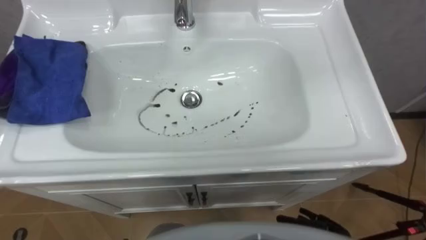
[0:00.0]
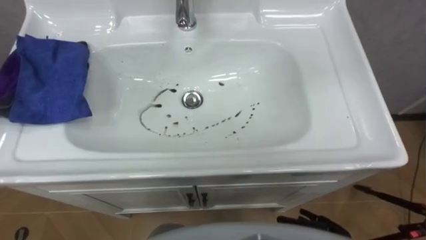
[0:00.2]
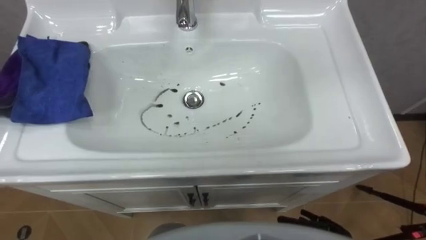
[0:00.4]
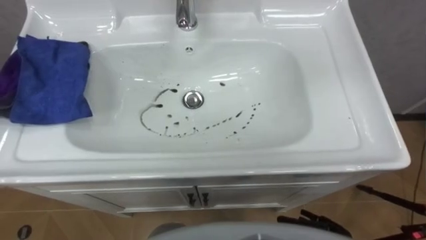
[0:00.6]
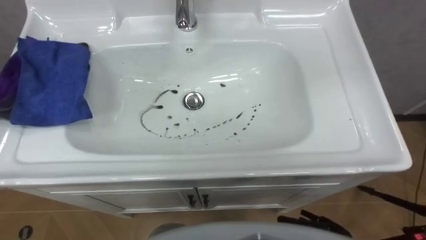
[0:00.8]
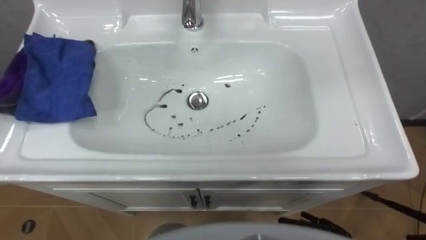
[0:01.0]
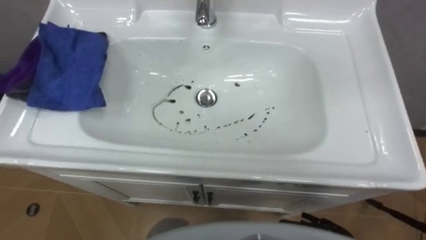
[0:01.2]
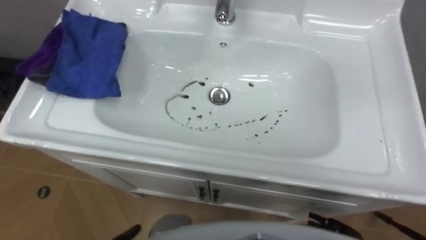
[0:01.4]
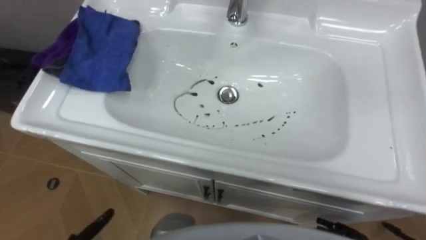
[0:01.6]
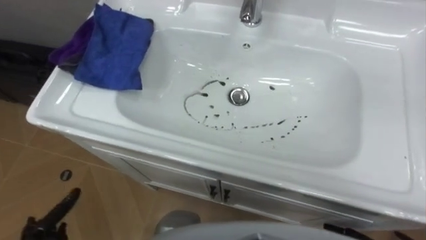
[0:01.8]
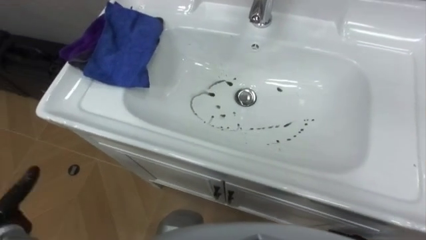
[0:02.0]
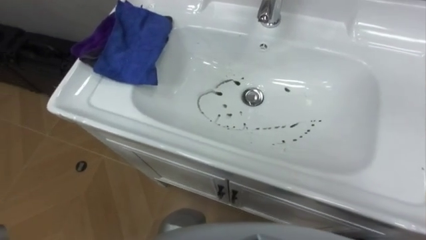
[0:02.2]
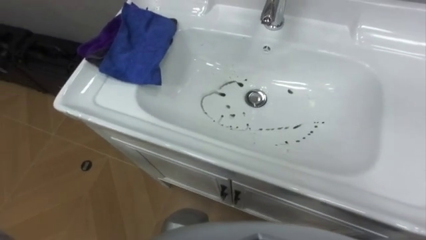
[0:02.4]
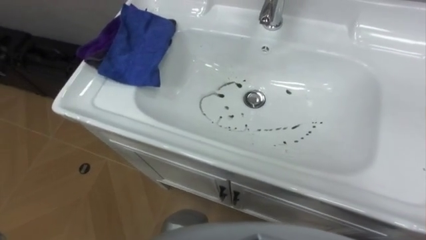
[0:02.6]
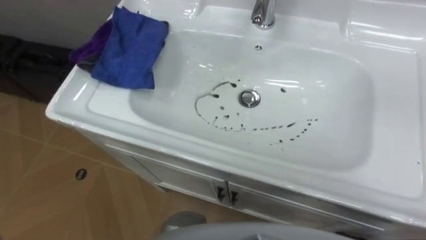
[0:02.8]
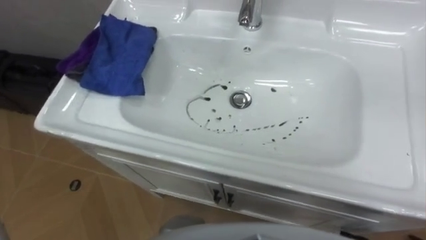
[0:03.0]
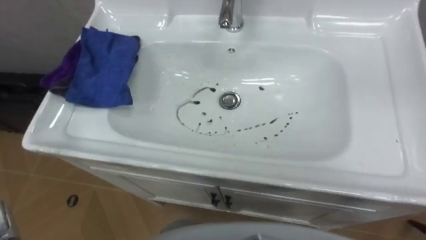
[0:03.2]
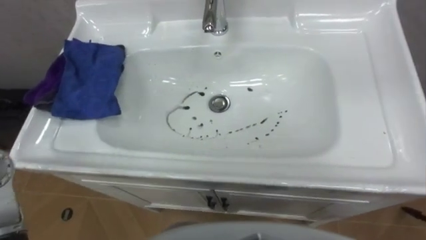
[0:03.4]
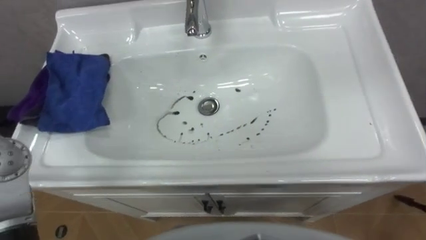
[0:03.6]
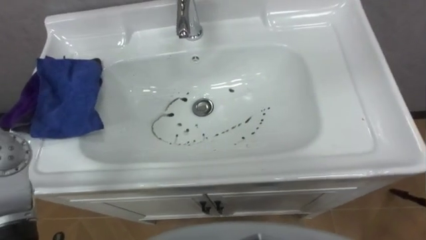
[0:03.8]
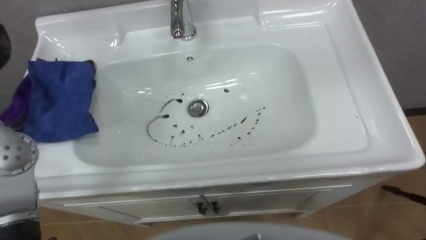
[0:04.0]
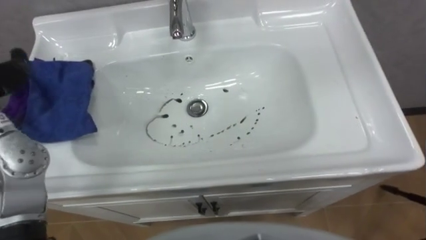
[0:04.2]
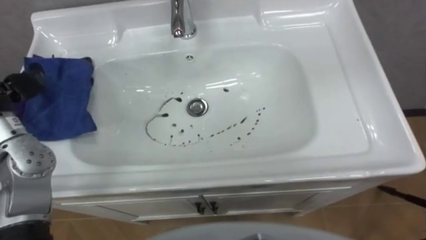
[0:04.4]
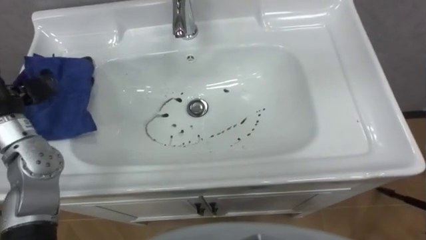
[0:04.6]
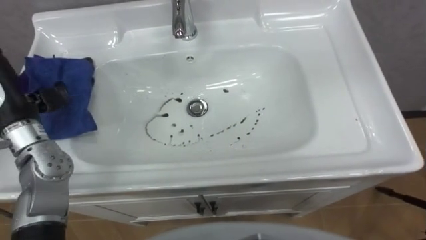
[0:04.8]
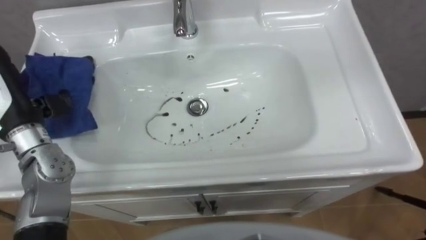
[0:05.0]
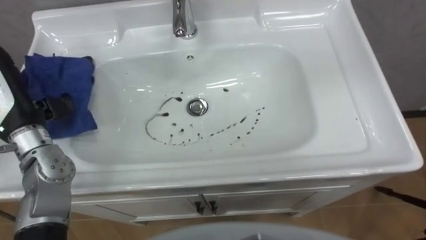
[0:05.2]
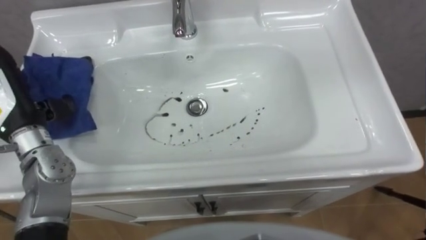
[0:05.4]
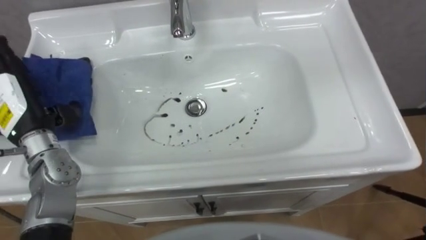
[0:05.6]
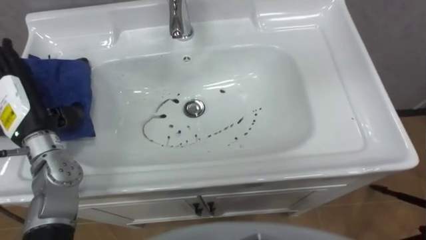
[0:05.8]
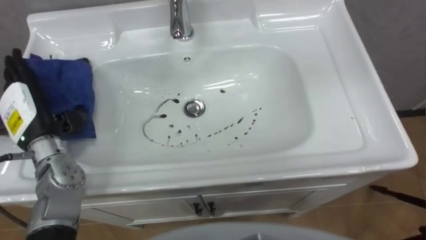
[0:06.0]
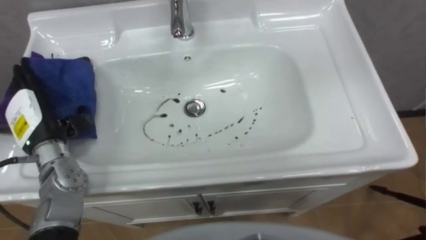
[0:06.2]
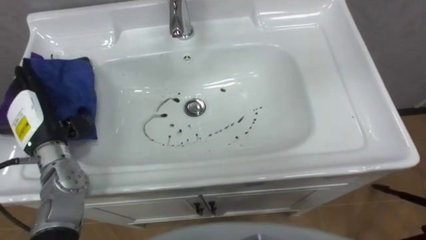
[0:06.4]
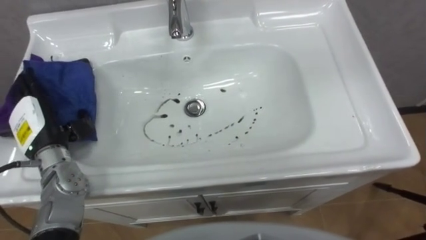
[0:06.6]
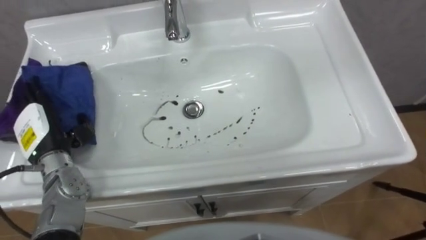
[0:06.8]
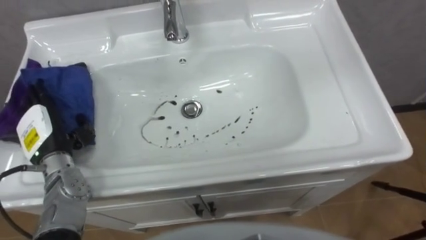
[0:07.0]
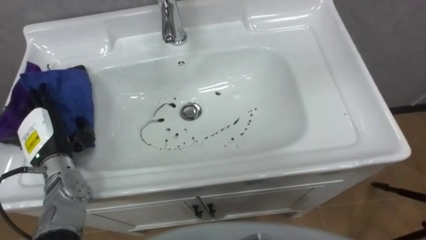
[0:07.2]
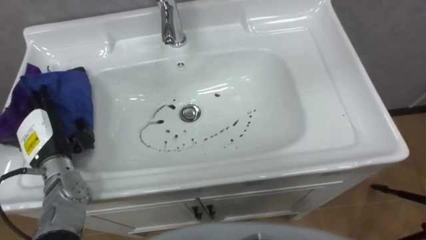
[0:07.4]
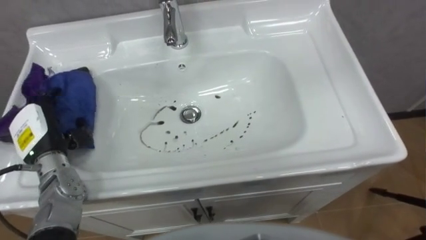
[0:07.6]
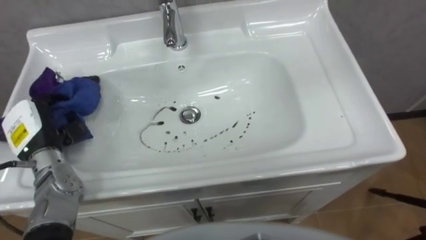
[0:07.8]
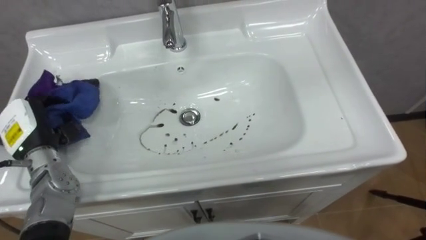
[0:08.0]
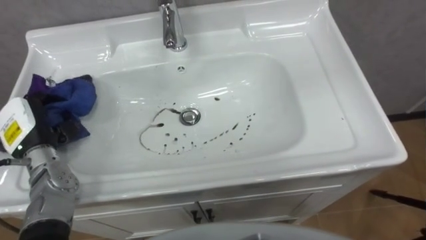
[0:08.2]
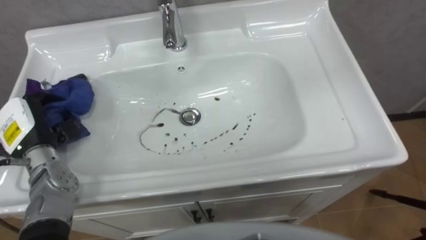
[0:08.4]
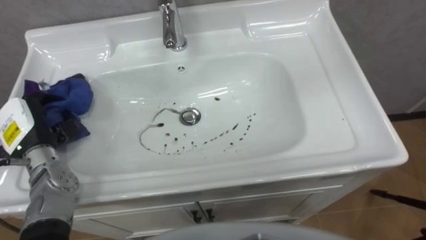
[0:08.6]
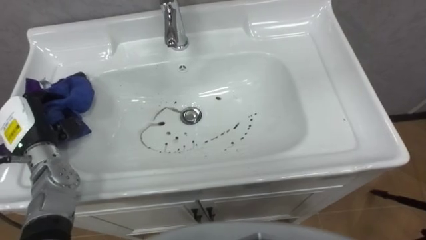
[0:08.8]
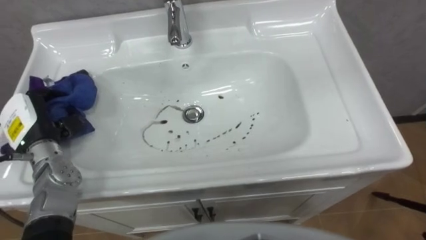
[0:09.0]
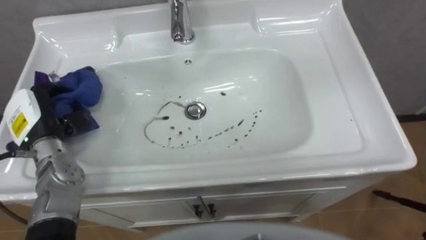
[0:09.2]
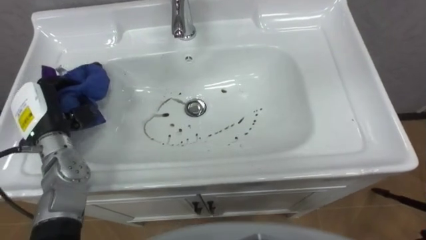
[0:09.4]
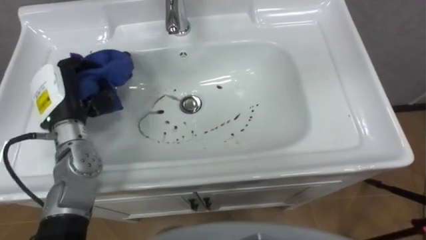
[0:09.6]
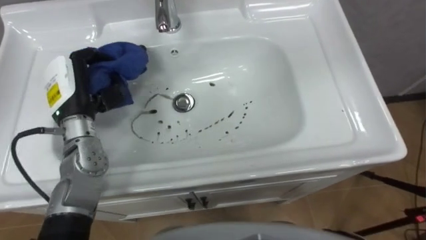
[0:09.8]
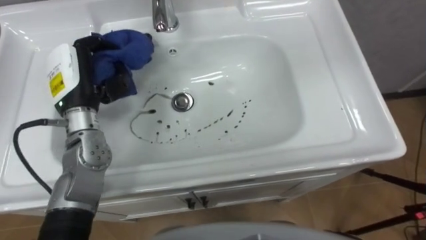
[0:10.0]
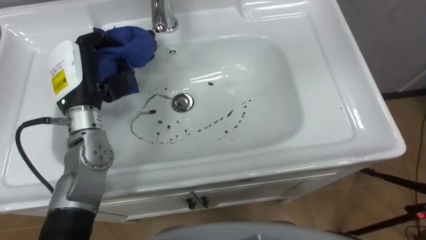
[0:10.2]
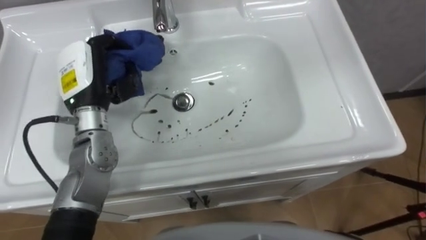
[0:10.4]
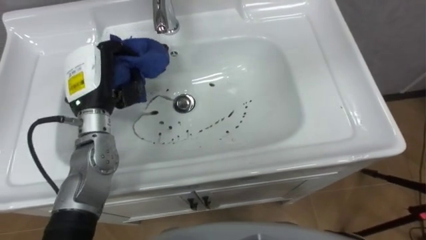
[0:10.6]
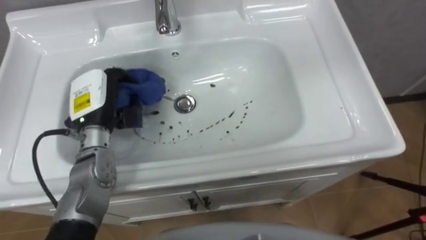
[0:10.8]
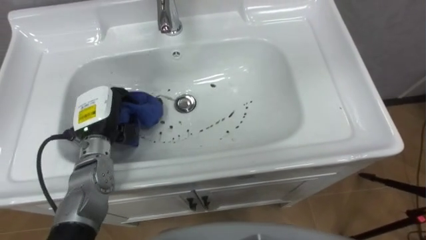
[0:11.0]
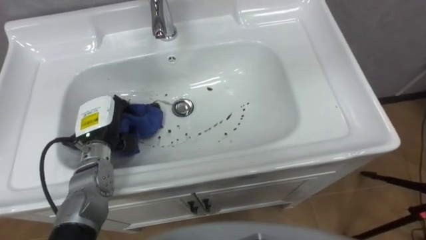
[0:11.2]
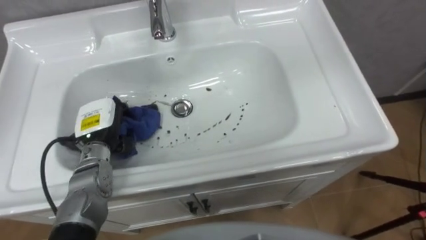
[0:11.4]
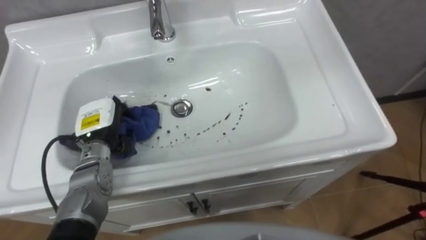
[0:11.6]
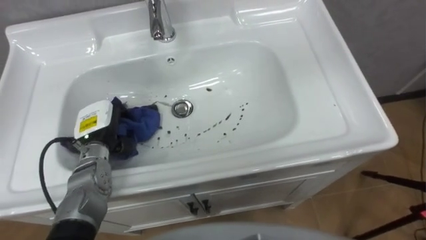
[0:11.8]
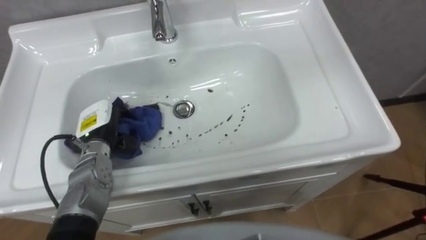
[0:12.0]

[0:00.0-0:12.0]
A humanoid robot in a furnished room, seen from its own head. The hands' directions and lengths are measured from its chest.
Task of the whole recording: Use the cloth on the right to wipe away the black stain in the sink.
0:06.0 to 0:07.6: The left hand goes approximately 5 cm downward.
0:07.6 to 0:09.0: The left hand closes up.
0:09.0 to 0:10.4: The left hand shifts approximately 15 cm to the right, upward and forward.
0:10.4 to 0:12.0: The left hand moves downward, some 15 cm.

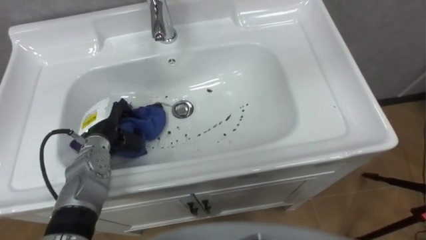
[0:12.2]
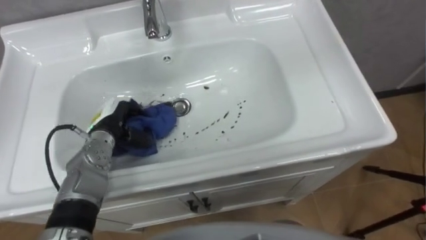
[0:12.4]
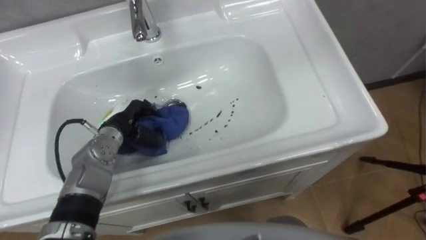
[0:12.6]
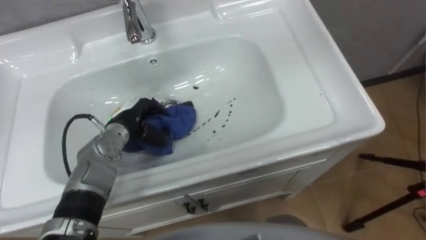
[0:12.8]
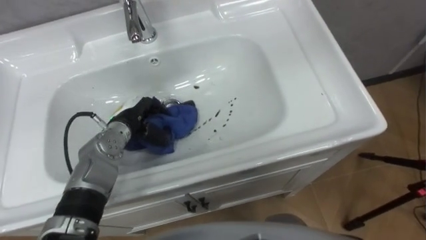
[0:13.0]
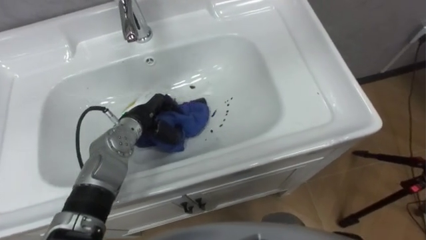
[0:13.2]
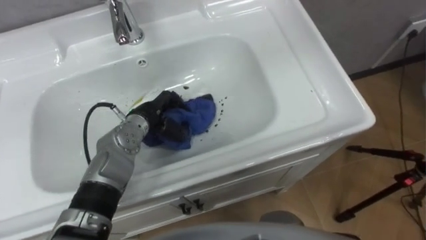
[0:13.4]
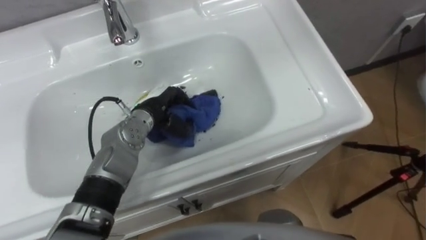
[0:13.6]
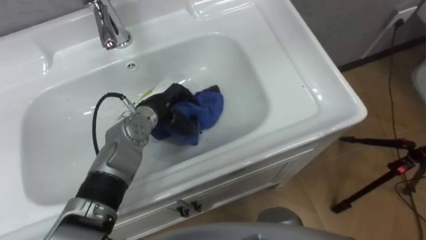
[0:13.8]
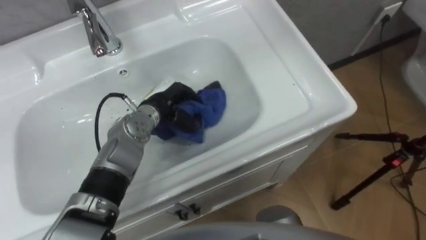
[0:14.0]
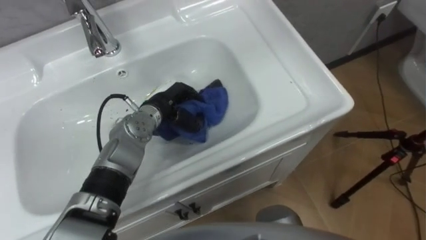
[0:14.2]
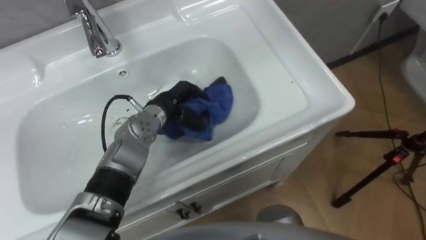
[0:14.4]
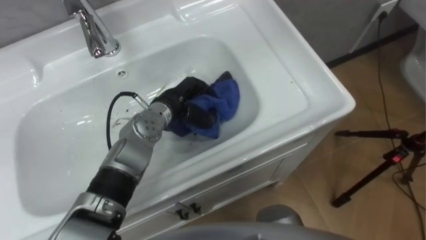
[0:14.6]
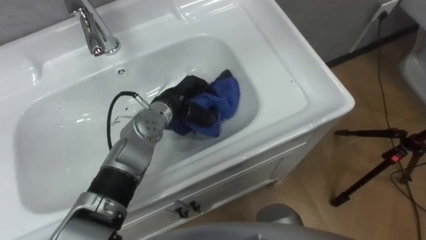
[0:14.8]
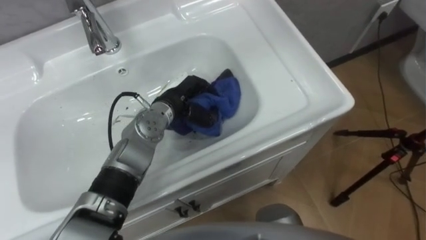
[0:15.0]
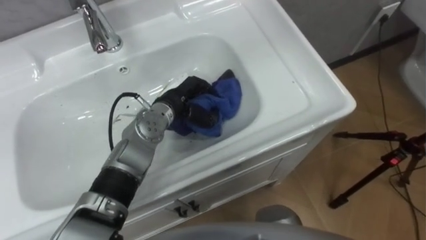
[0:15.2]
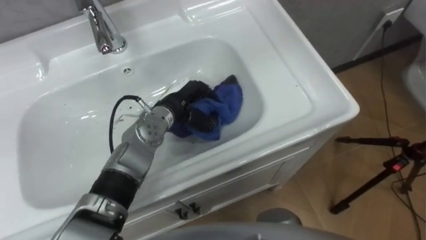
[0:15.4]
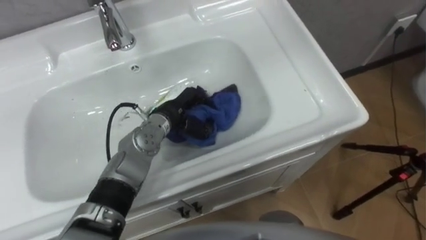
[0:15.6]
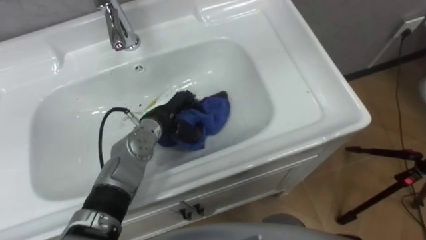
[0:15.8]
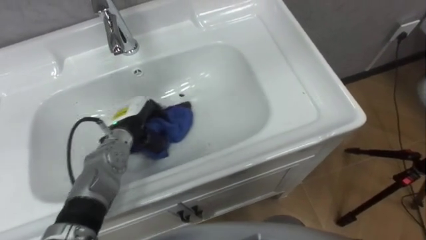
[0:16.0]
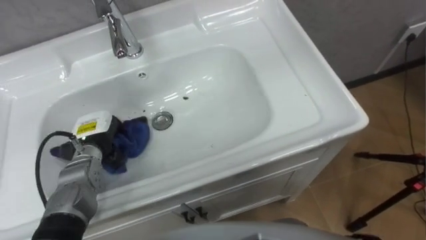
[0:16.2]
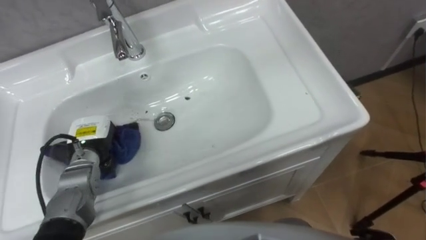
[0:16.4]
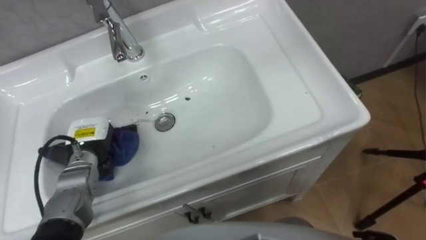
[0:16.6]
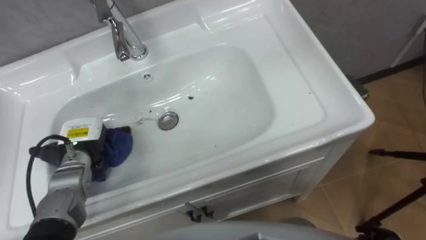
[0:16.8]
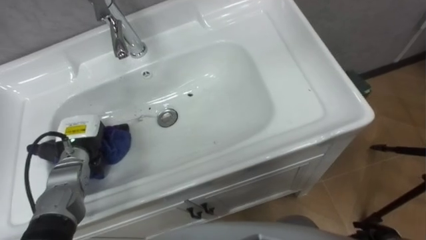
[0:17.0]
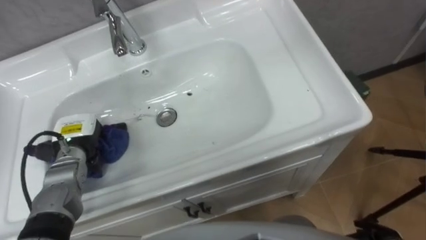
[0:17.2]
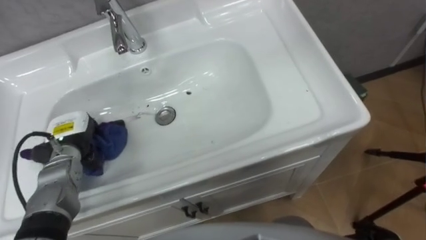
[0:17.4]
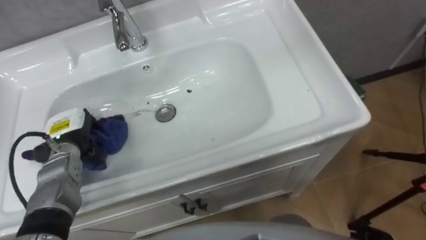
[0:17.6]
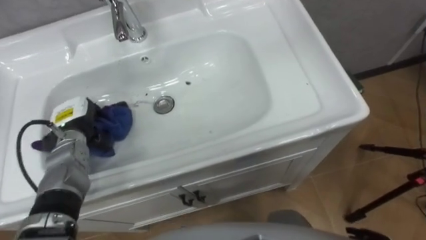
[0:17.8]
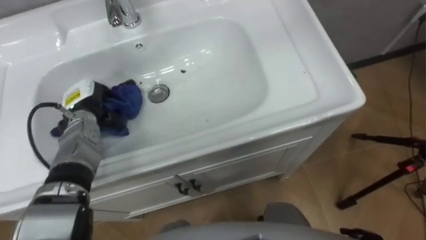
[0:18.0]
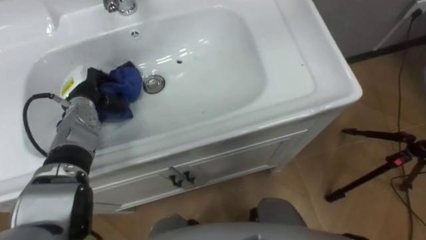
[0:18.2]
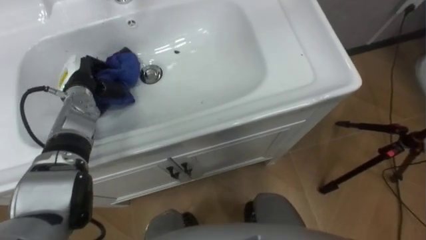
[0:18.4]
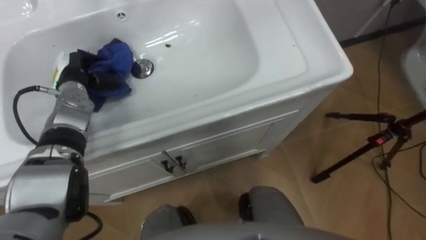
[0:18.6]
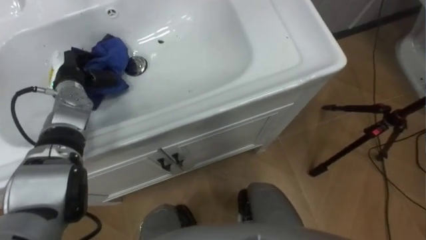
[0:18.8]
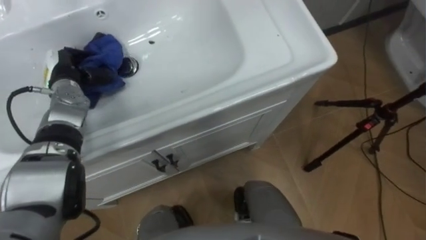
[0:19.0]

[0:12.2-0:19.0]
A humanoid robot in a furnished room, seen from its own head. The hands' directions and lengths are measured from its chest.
Task of the whole recording: Use the cloth on the right to wipe away the black stain in the sink.
0:12.2 to 0:13.6: The left hand shifts about 10 cm to the right.
0:13.6 to 0:15.0: The left hand ends up approximately 5 cm from where it was.
0:15.0 to 0:16.2: The left hand shifts roughly 20 cm to the left and backward.
0:16.2 to 0:17.6: The left hand moves some 5 cm.
0:17.6 to 0:19.0: The left hand shifts about 10 cm forward and upward.
